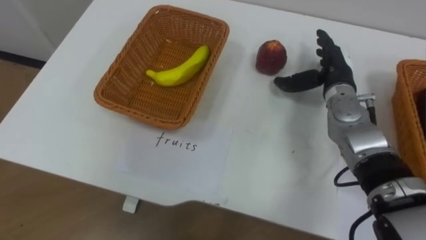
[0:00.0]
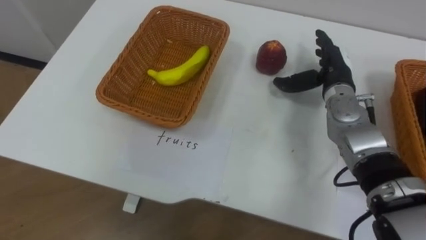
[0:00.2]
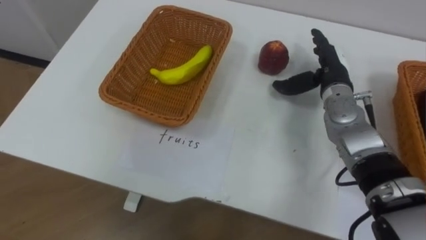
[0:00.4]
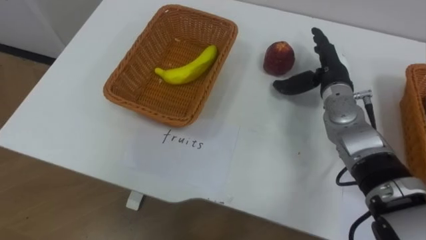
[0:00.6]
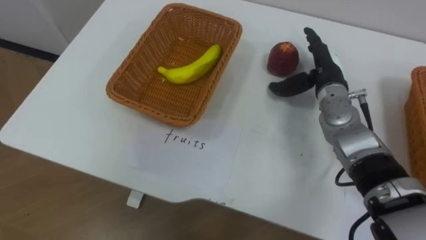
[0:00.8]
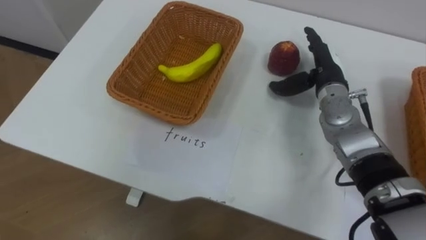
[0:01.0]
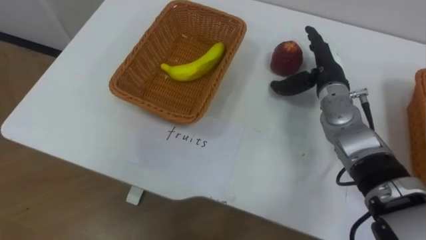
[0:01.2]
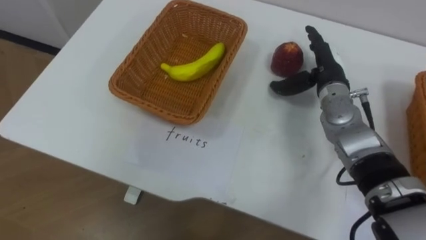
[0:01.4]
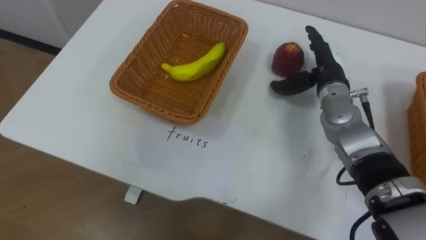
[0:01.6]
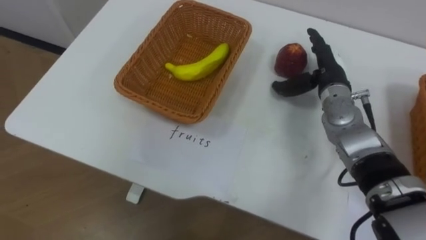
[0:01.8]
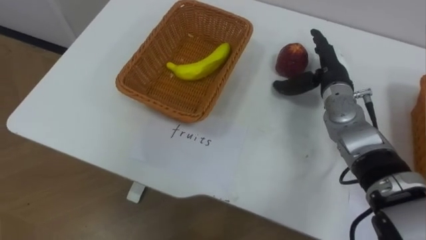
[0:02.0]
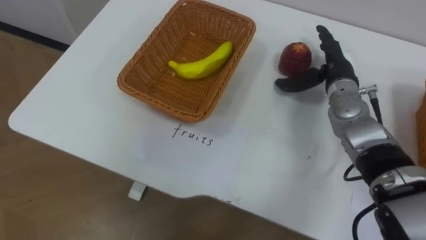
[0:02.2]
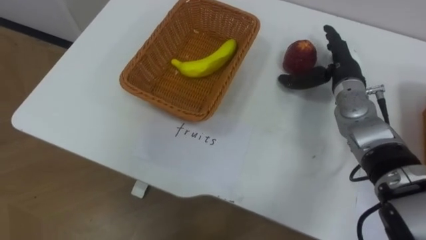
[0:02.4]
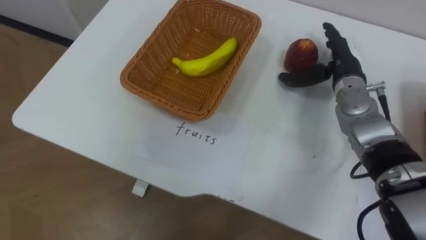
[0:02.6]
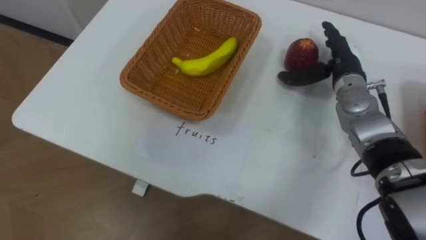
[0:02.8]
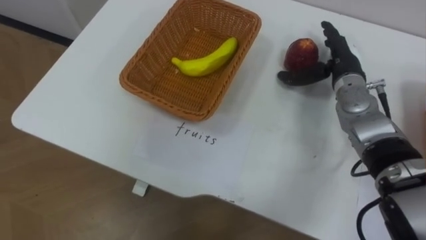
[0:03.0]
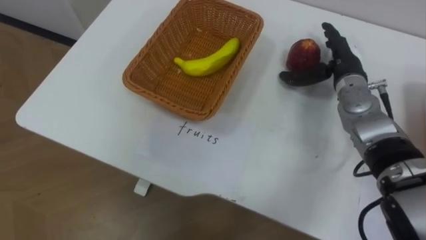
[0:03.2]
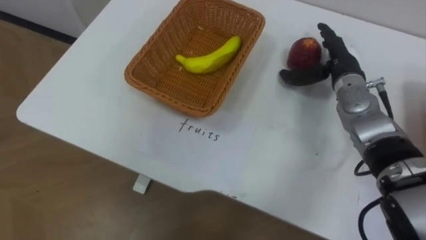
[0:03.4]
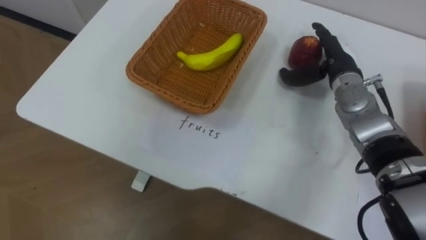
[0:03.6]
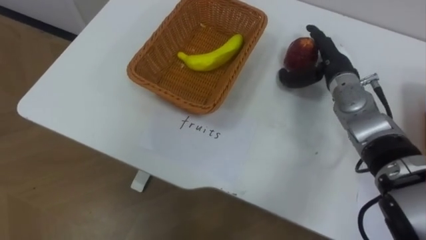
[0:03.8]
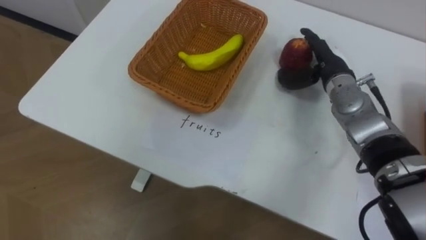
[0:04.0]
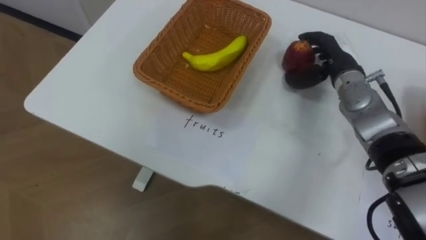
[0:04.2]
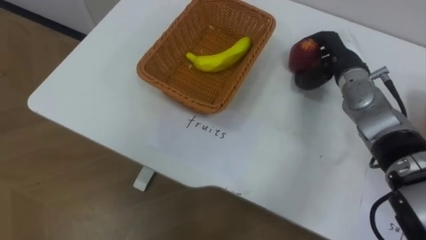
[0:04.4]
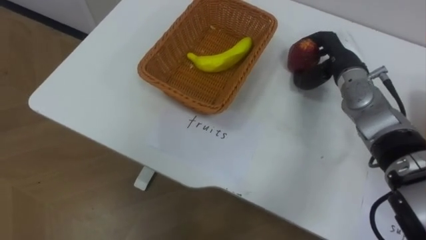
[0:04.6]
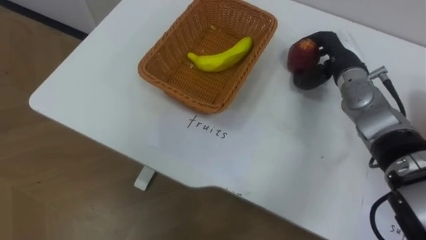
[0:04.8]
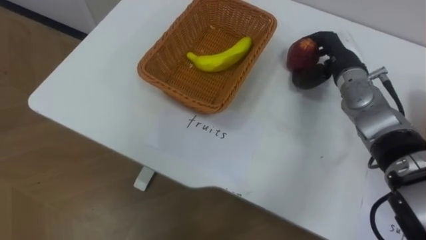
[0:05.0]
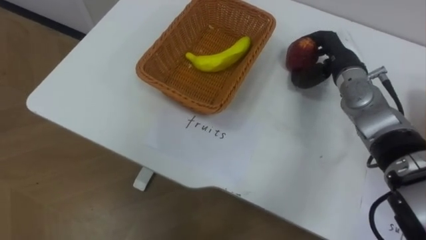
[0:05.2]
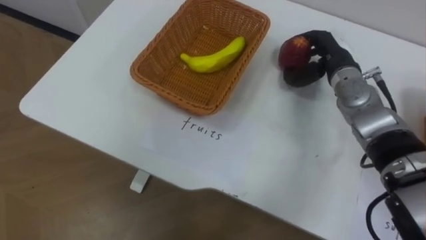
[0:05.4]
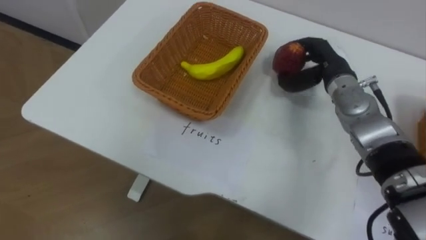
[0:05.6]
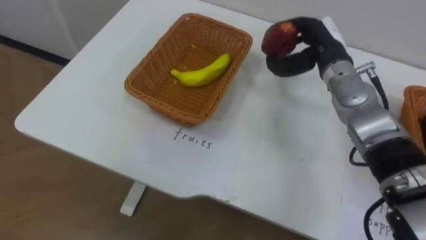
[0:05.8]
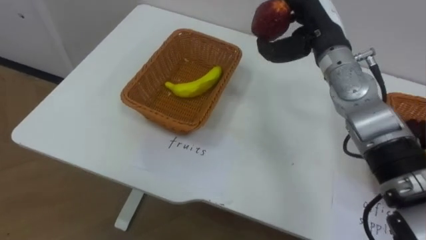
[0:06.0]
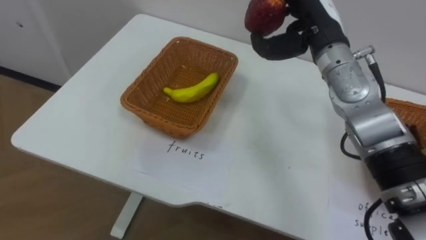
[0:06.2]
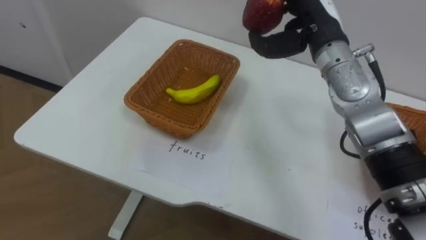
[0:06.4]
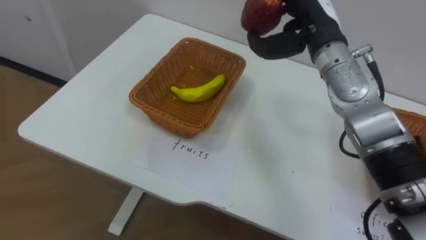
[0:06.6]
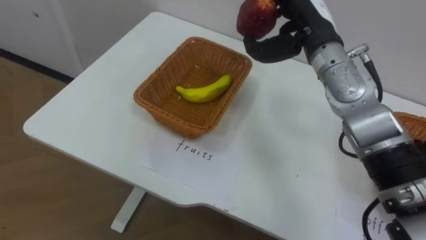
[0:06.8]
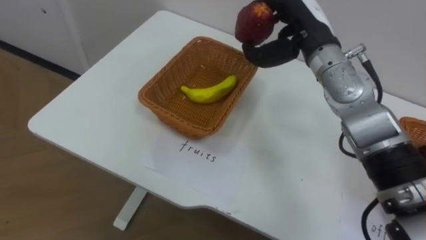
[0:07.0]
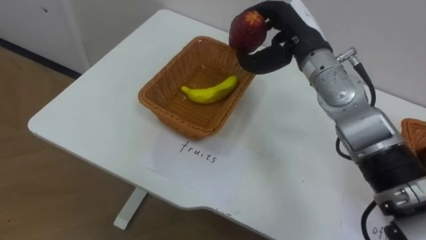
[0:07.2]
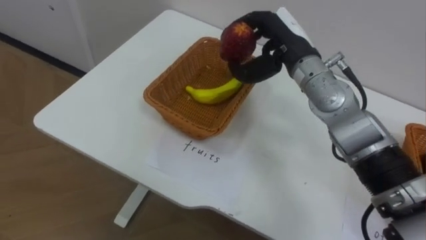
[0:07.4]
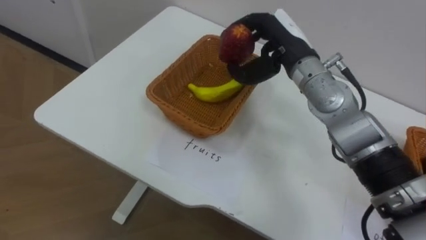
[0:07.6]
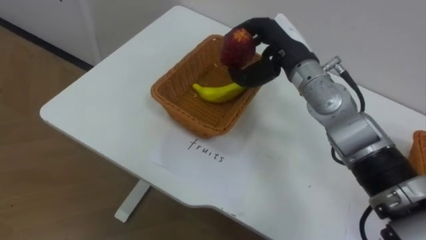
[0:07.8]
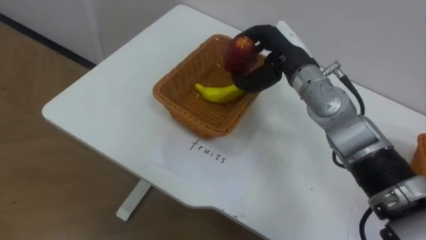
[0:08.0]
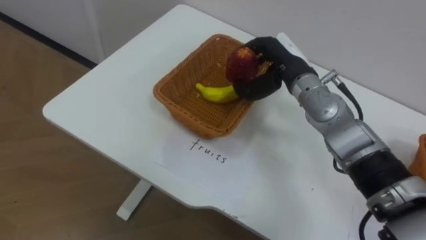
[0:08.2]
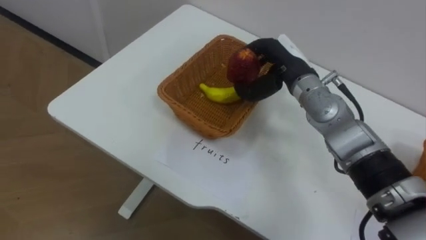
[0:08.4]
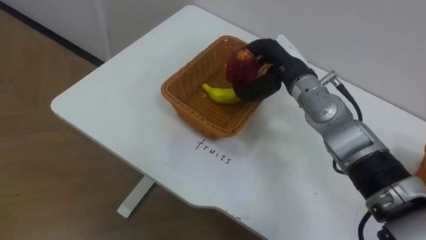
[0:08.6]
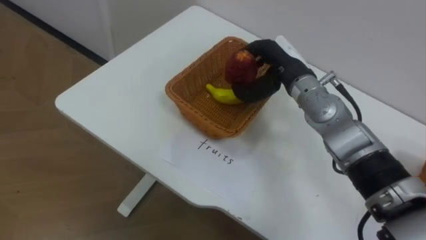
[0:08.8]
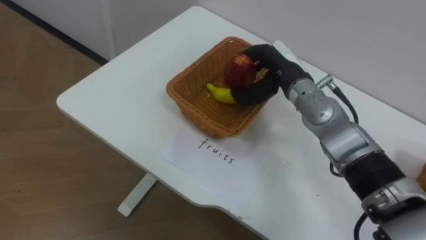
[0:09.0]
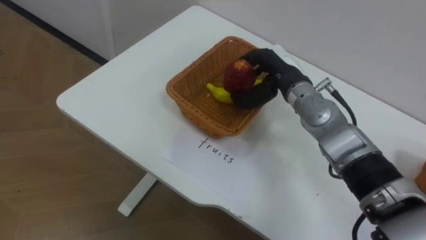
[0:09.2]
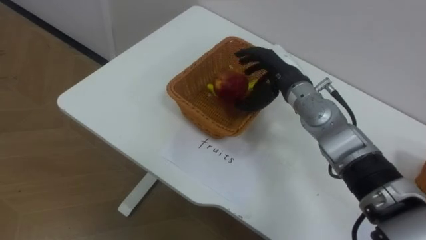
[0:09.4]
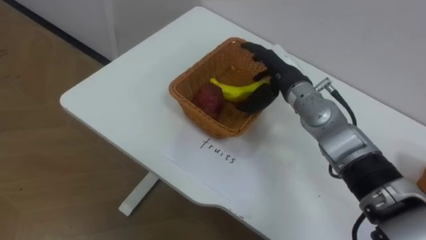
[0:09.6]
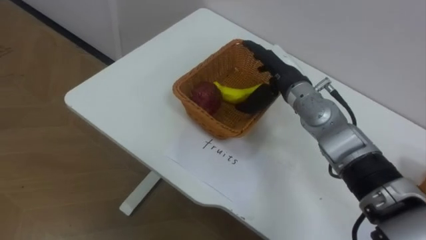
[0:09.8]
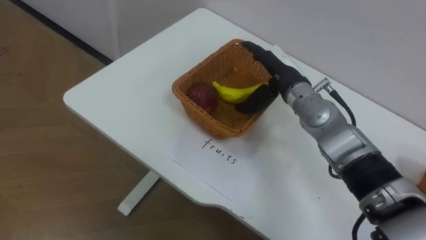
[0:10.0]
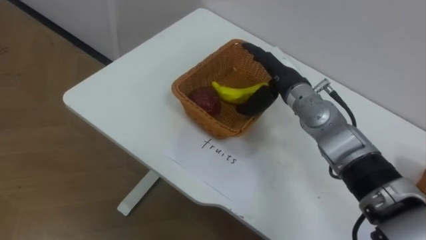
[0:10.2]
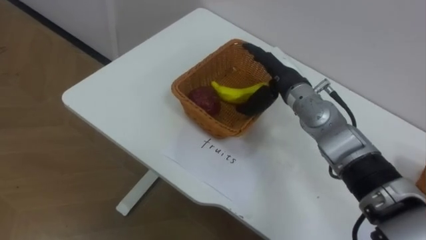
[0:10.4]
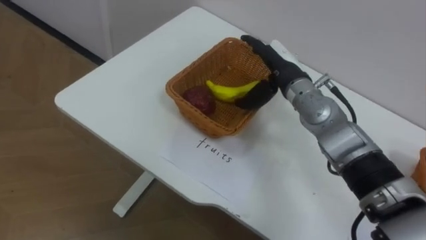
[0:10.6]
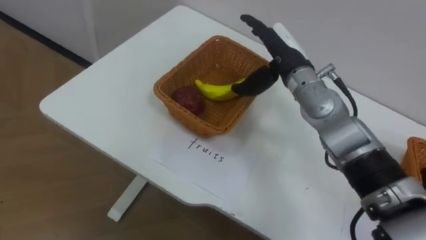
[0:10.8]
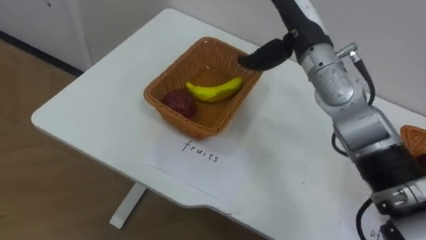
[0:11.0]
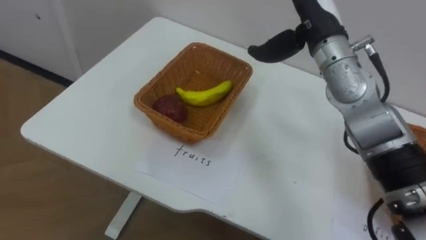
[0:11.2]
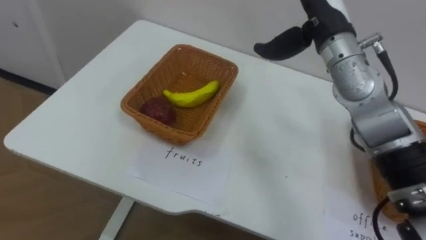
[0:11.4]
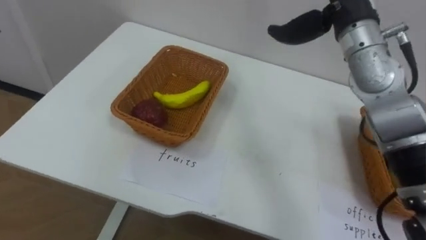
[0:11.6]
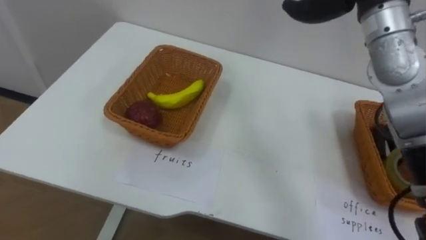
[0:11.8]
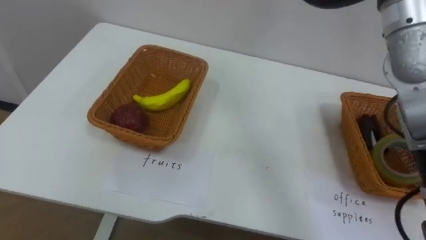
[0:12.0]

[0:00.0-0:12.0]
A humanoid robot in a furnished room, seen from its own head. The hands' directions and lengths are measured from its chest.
Task of the whole recording: Separate the items on the table and place them into the two baskets.
0:03.0 to 0:04.4: The right hand closes.
0:04.4 to 0:06.0: The right hand travels upward and to the left by some 10 cm.
0:06.0 to 0:07.6: The right hand goes roughly 5 cm to the left.
0:07.6 to 0:09.0: The right hand travels downward by approximately 5 cm.
0:09.0 to 0:10.4: The right hand opens up.

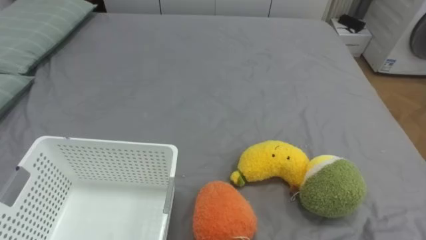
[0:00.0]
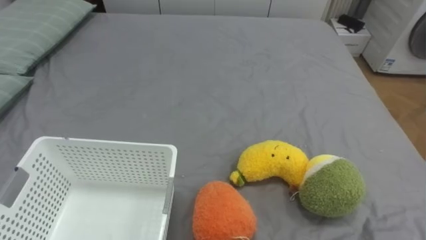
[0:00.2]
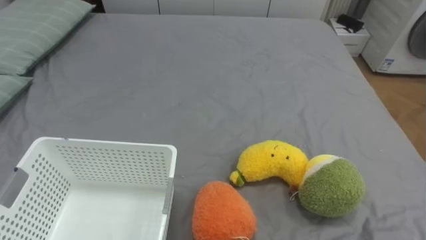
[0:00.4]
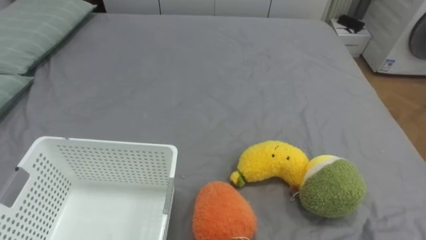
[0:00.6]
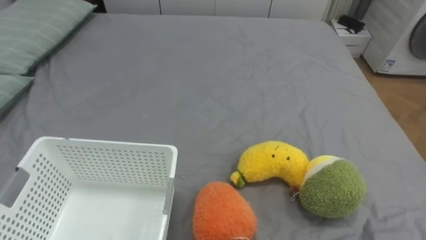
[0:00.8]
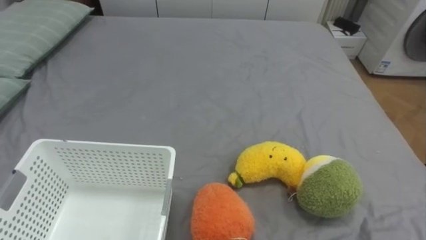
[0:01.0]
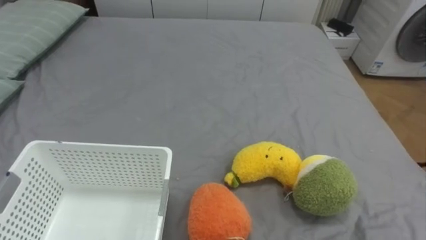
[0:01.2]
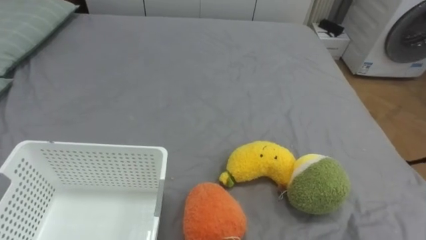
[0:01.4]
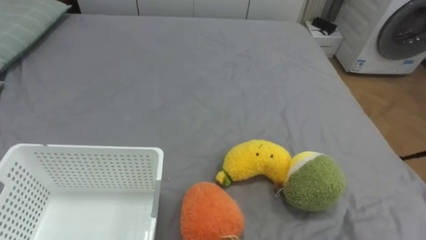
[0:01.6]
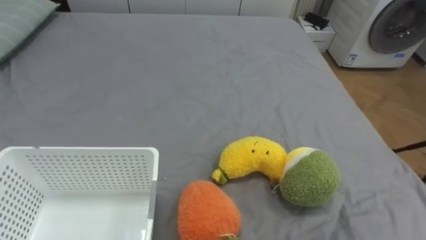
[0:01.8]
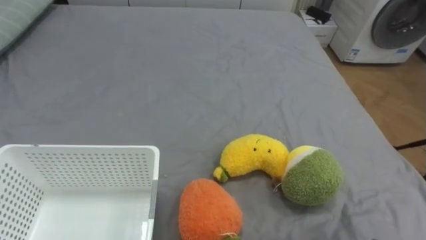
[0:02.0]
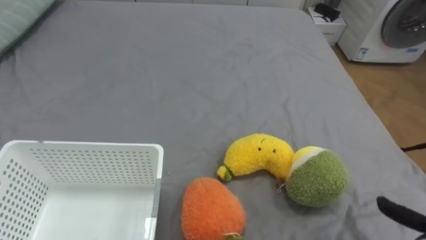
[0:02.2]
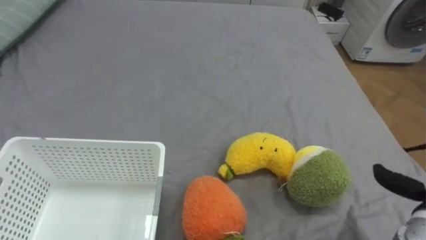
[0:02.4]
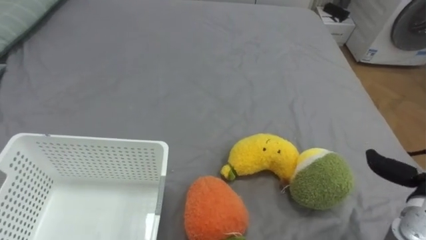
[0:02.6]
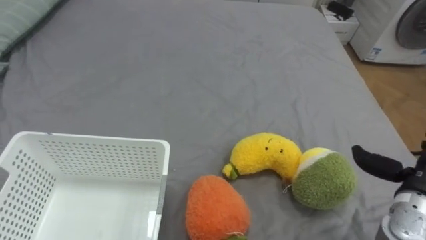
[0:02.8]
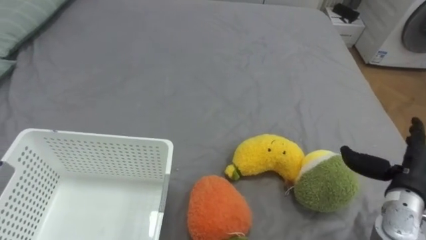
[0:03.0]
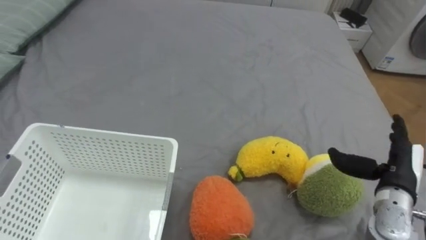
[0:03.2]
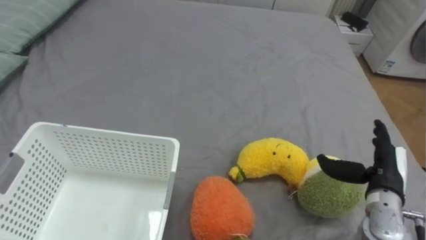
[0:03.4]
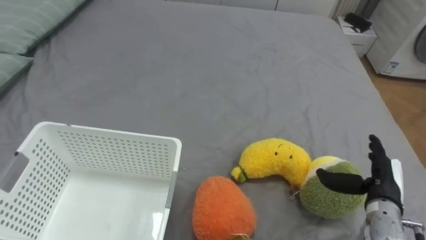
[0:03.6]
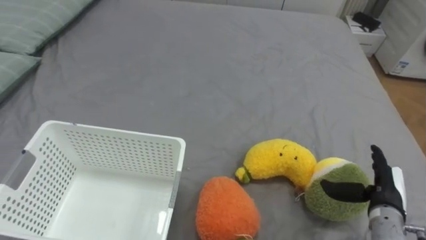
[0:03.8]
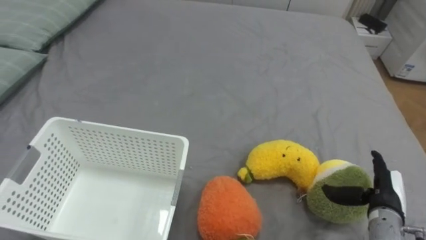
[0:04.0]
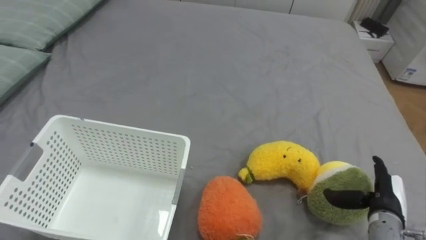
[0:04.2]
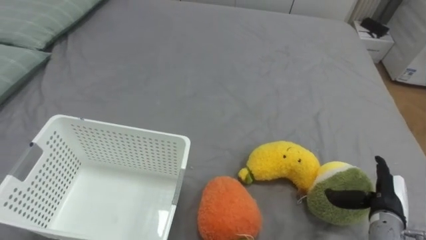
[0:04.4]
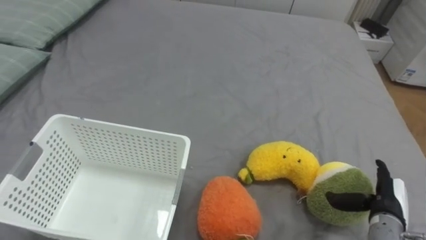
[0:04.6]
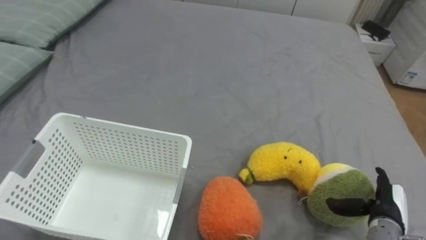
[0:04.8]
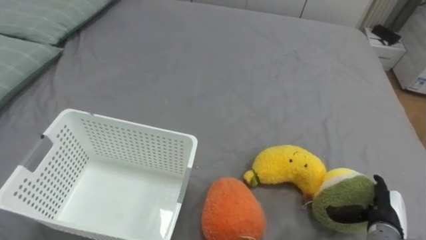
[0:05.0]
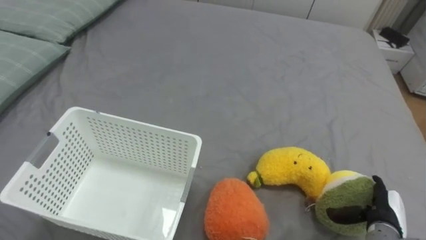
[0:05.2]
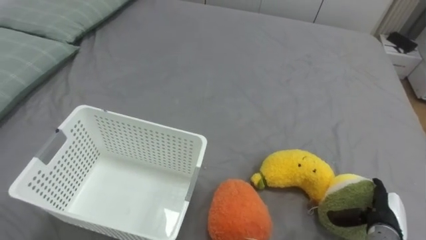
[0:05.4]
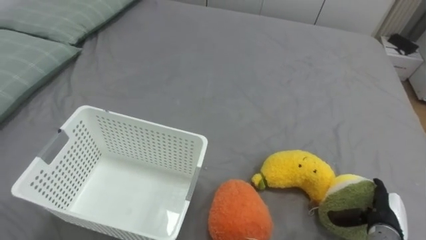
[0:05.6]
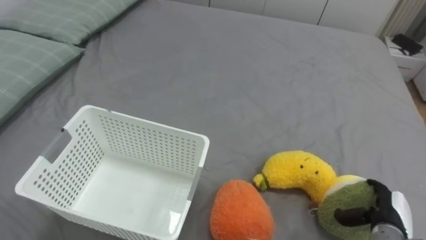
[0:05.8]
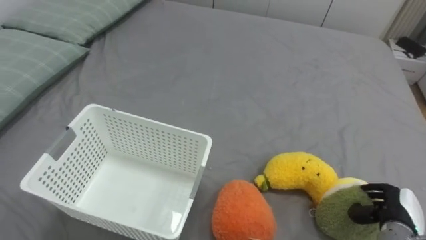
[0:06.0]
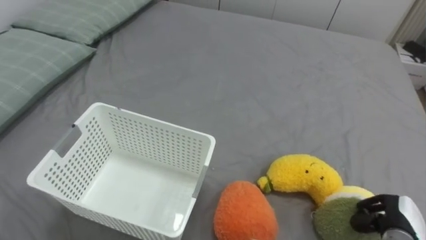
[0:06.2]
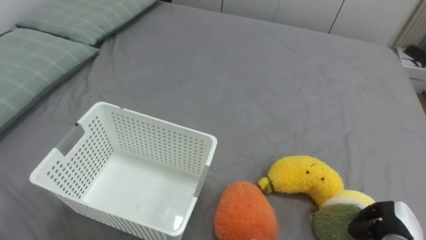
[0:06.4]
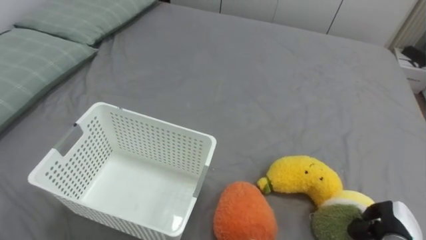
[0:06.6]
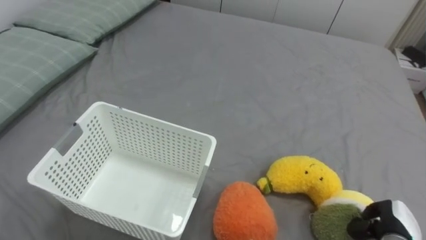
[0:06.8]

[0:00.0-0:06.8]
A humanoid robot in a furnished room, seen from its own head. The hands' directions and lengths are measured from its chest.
Task of the whole recording: Put the toys on the bed into the basket on the left.
0:02.8 to 0:04.0: The right hand heads downward, covering about 5 cm.
0:04.0 to 0:05.4: The right hand ends up about 5 cm from where it was.
0:05.4 to 0:06.8: The right hand closes.
